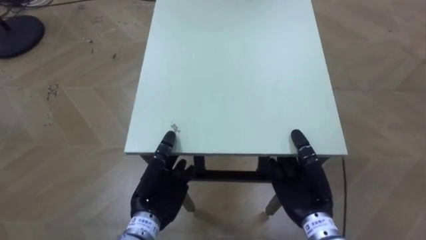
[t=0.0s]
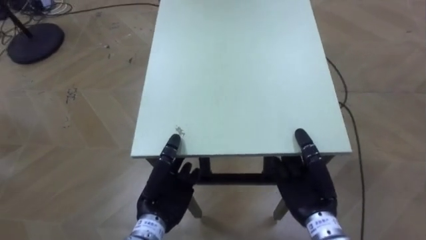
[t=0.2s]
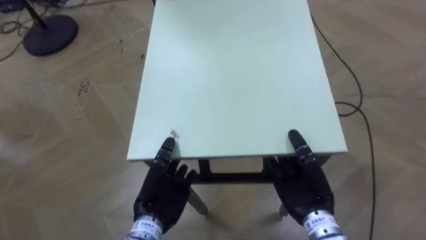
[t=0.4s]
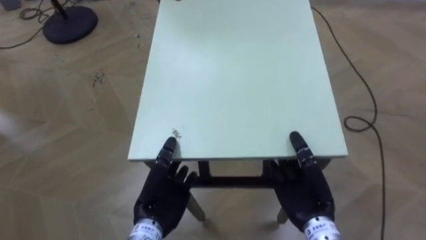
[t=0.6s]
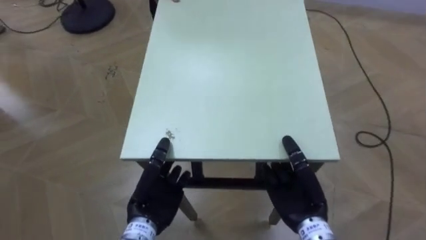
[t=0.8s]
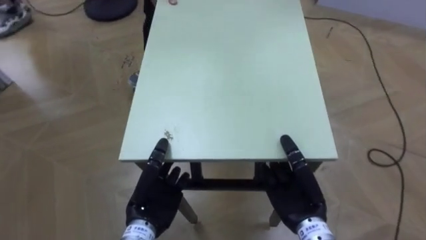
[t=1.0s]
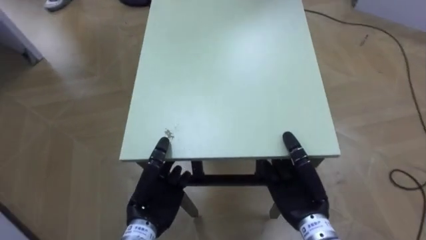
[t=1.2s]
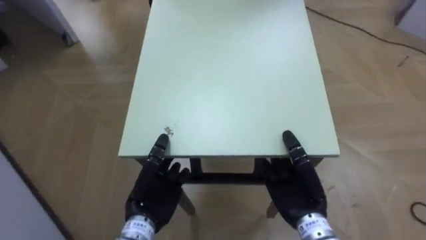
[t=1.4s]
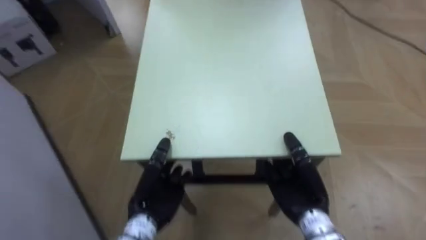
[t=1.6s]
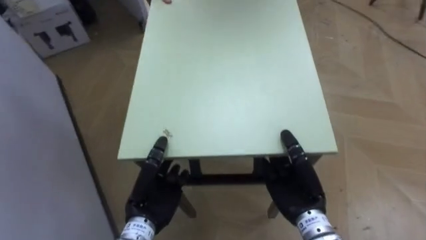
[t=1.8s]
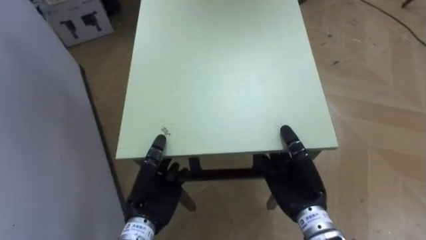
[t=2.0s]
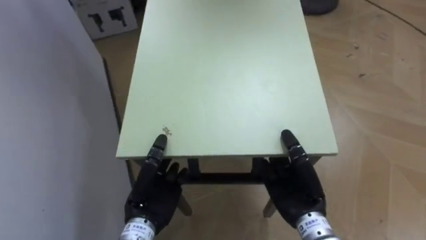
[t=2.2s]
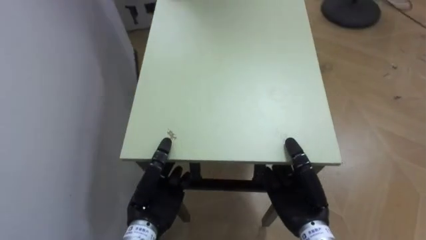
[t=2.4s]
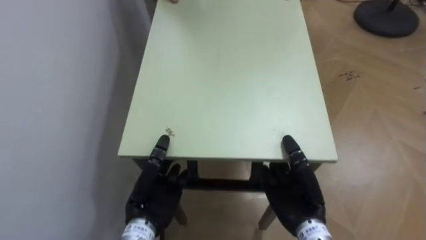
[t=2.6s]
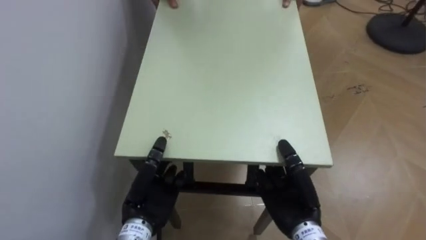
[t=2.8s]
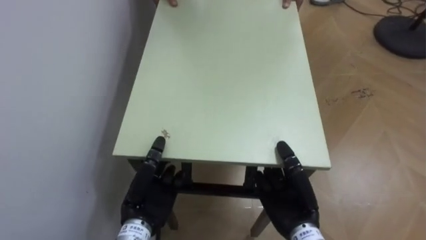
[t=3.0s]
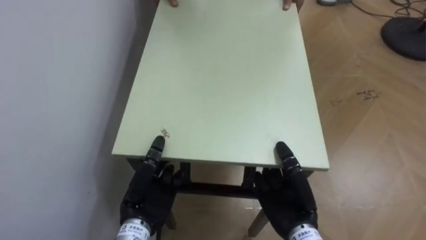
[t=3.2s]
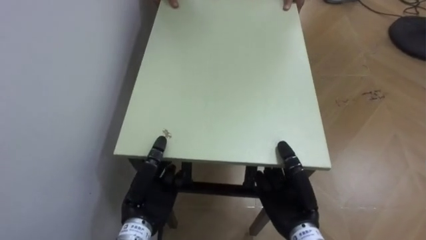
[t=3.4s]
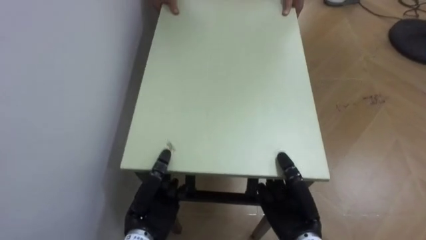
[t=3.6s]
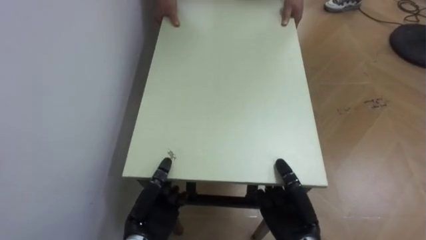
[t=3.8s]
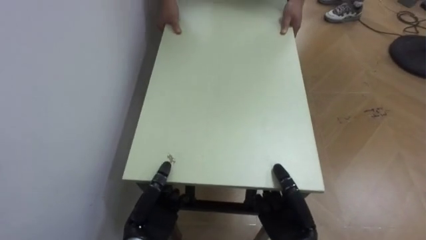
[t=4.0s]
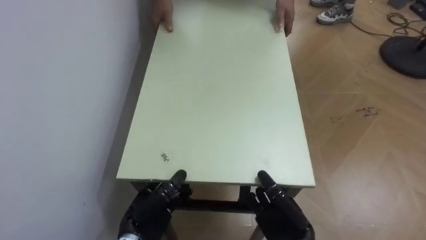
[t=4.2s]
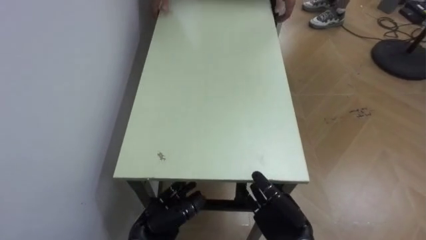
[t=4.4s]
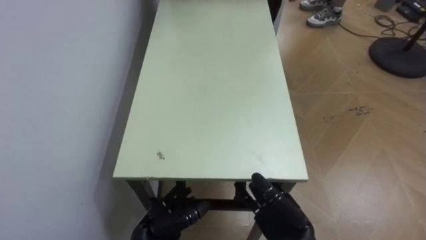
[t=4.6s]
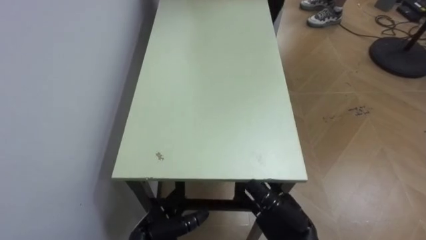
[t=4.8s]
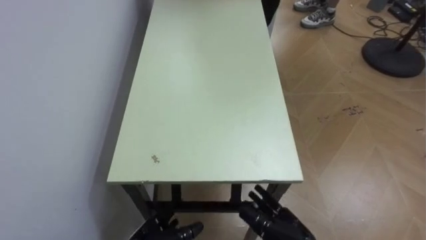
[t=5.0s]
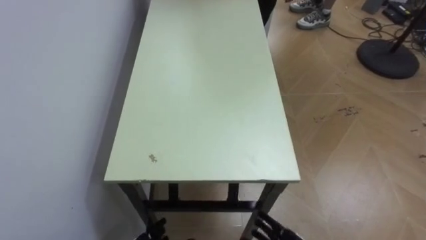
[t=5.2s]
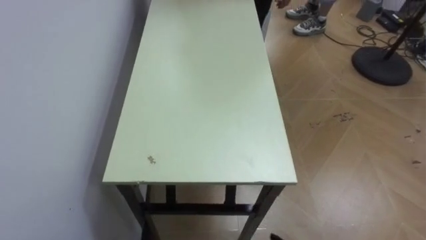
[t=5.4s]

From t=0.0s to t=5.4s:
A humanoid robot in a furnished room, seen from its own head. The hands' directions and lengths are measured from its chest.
Task of the whole recording: Move the table to the back left with someone.
From t=0.0s to t=1.4s: The robot's body swings about 30 degrees to its left.
From t=1.4s to t=2.8s: The robot's body swings some 45 degrees to its left.
From t=2.8s to t=4.0s: The two hands go approximately 5 cm downward.

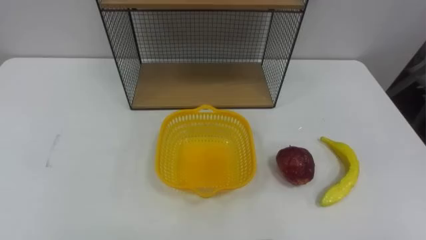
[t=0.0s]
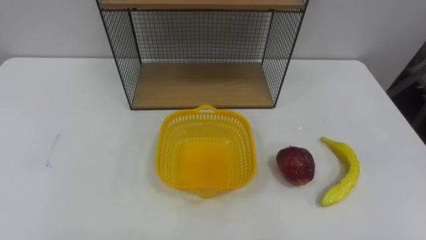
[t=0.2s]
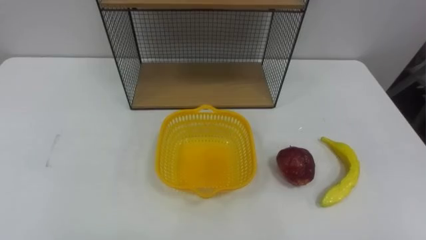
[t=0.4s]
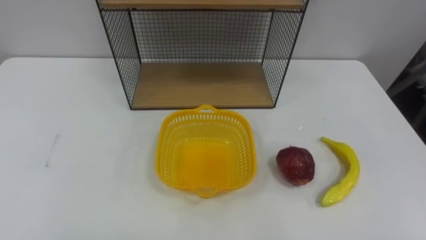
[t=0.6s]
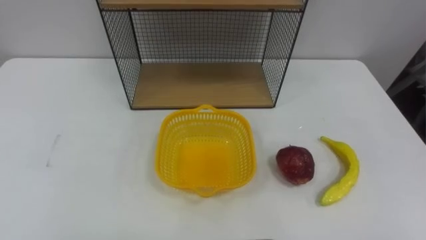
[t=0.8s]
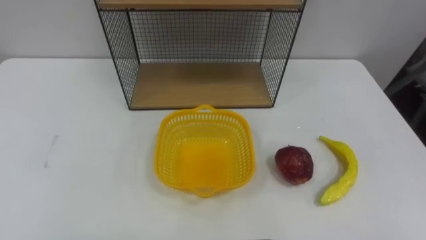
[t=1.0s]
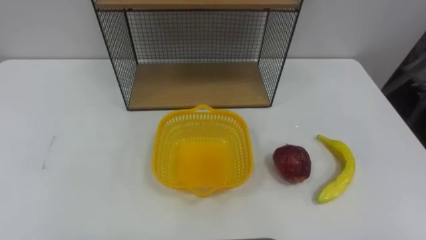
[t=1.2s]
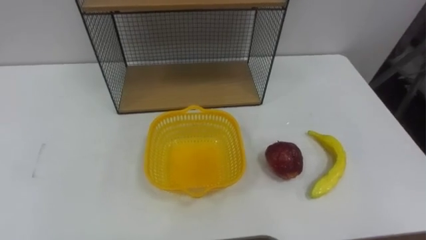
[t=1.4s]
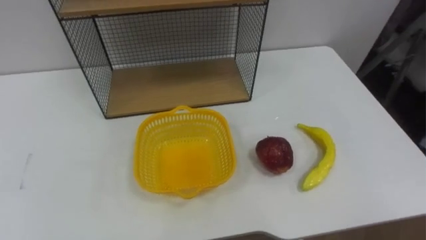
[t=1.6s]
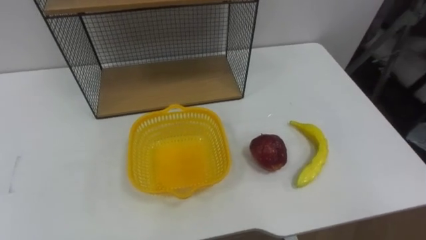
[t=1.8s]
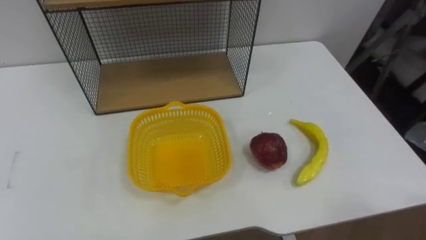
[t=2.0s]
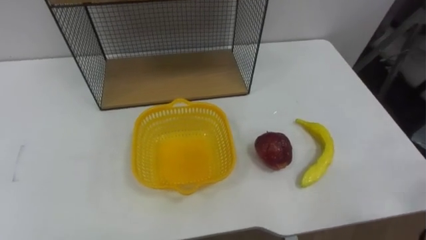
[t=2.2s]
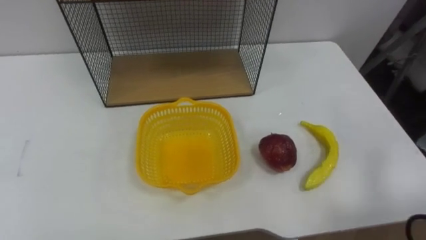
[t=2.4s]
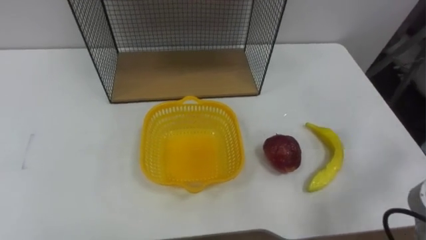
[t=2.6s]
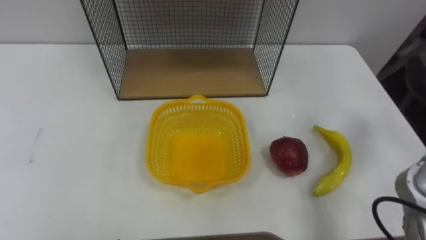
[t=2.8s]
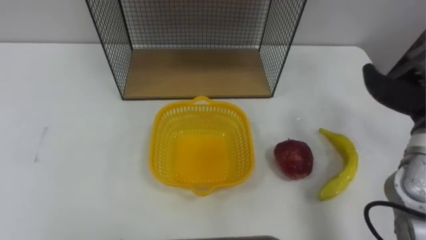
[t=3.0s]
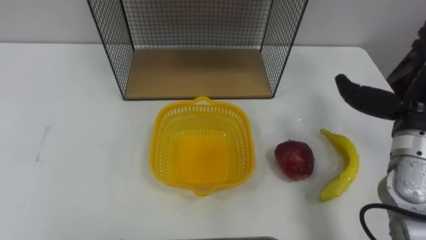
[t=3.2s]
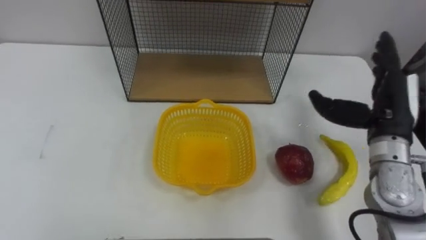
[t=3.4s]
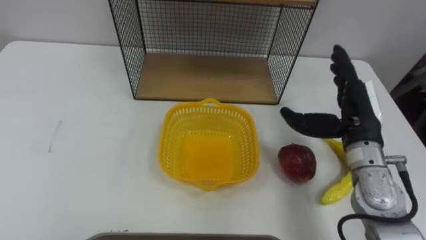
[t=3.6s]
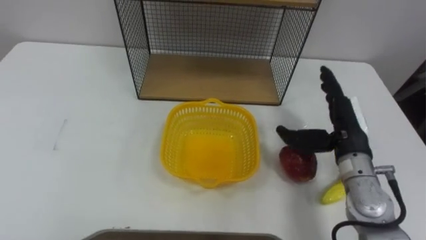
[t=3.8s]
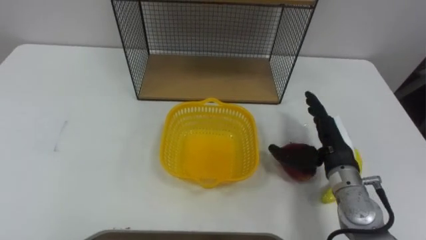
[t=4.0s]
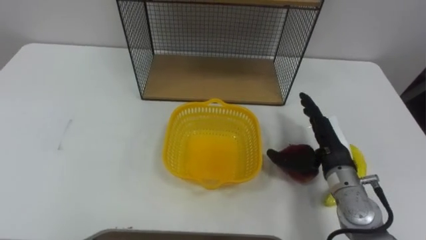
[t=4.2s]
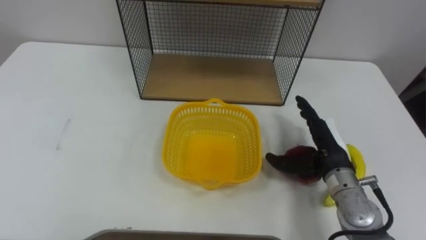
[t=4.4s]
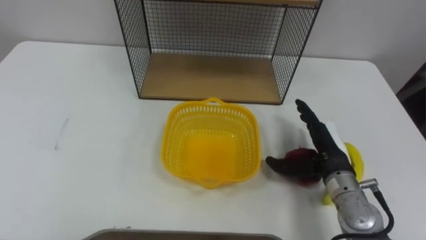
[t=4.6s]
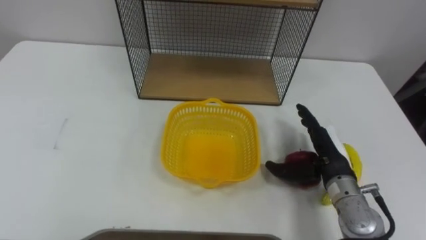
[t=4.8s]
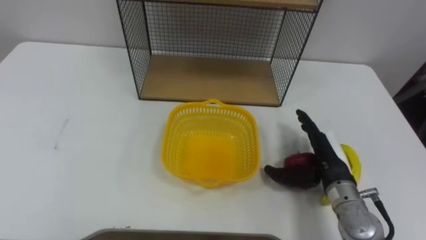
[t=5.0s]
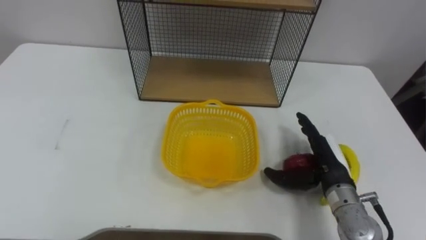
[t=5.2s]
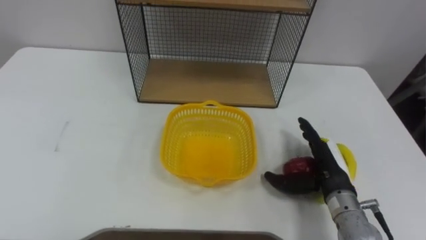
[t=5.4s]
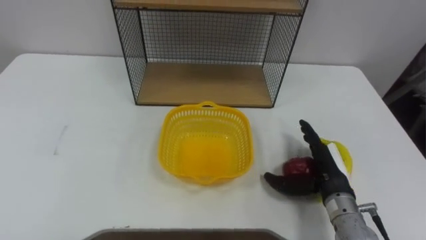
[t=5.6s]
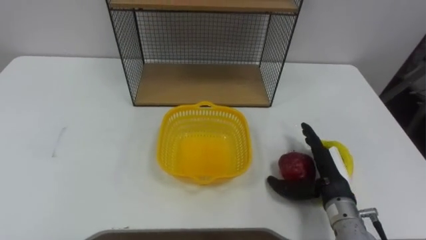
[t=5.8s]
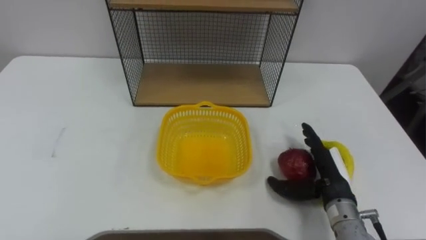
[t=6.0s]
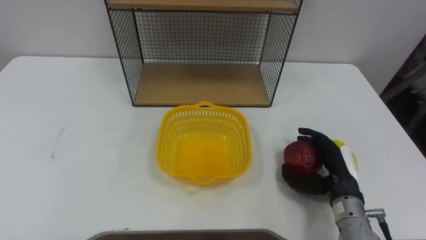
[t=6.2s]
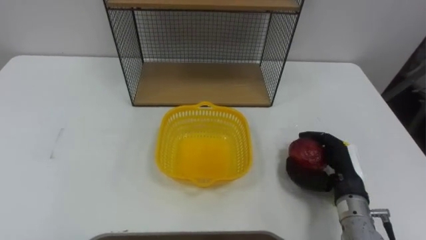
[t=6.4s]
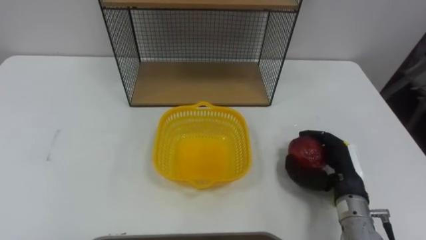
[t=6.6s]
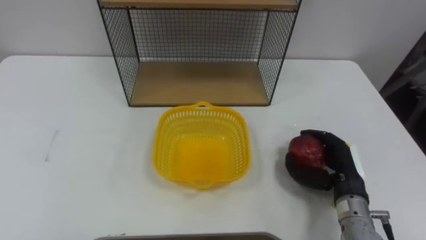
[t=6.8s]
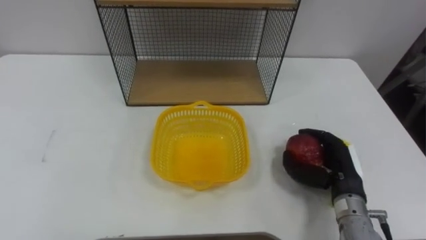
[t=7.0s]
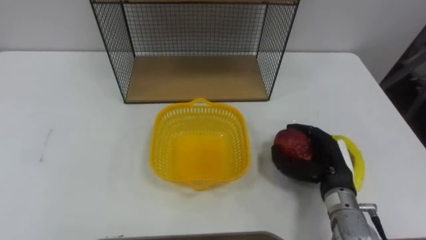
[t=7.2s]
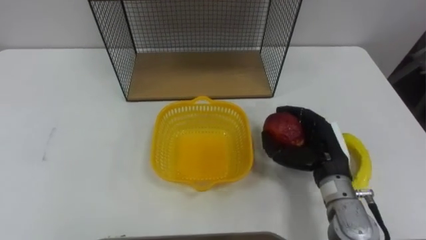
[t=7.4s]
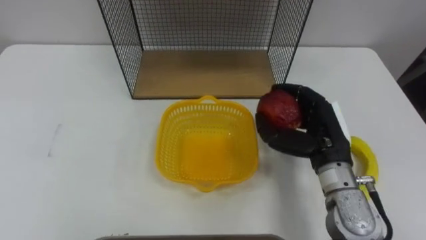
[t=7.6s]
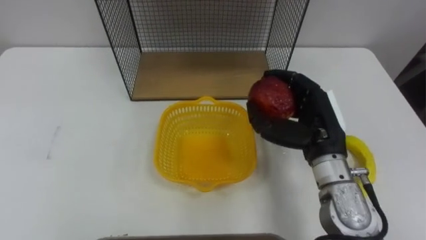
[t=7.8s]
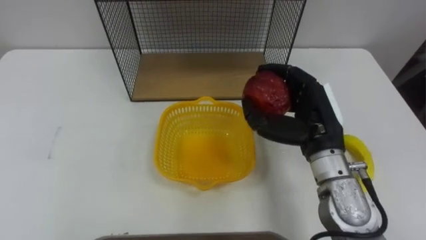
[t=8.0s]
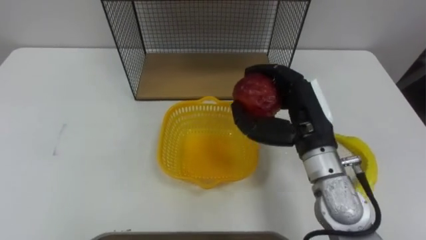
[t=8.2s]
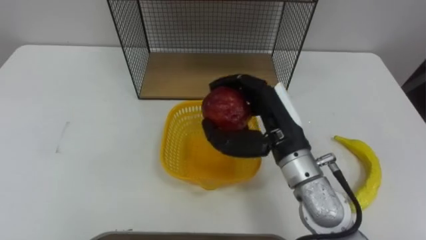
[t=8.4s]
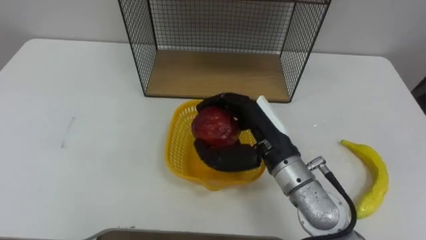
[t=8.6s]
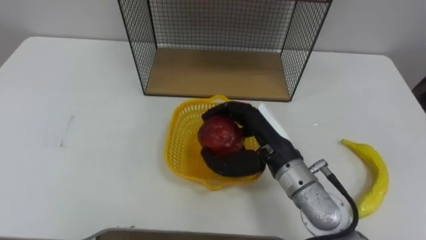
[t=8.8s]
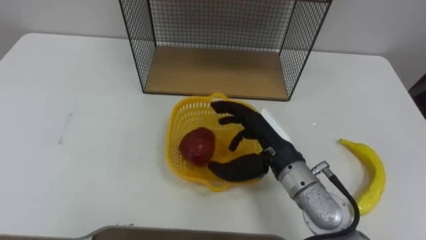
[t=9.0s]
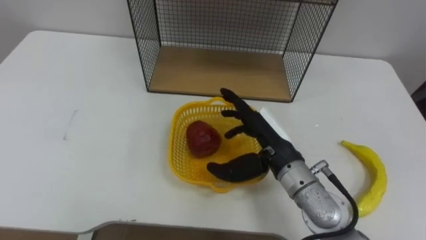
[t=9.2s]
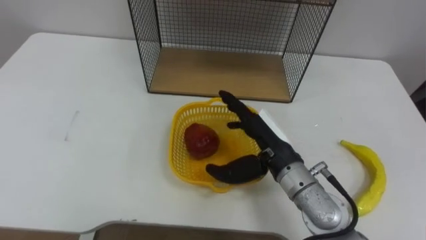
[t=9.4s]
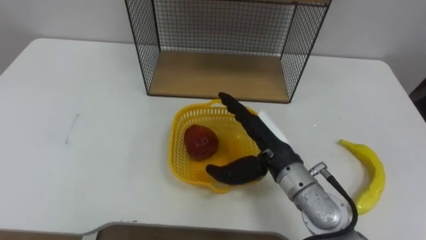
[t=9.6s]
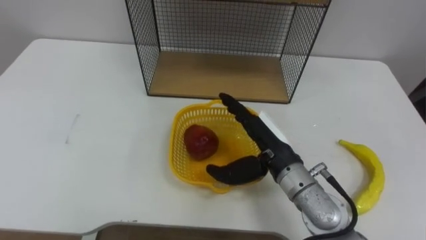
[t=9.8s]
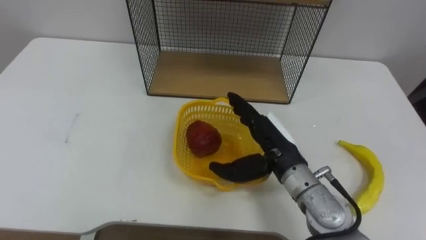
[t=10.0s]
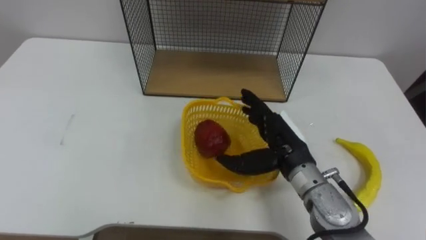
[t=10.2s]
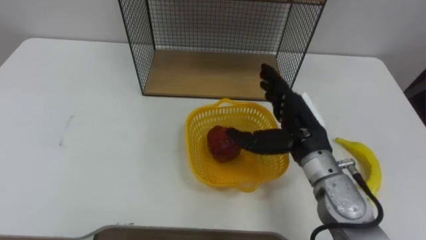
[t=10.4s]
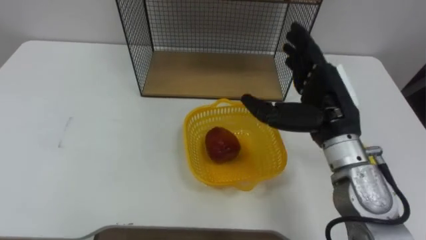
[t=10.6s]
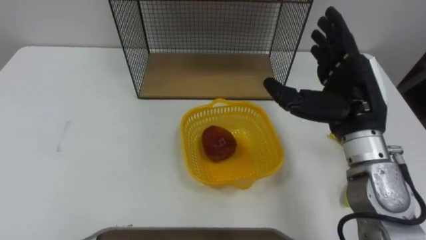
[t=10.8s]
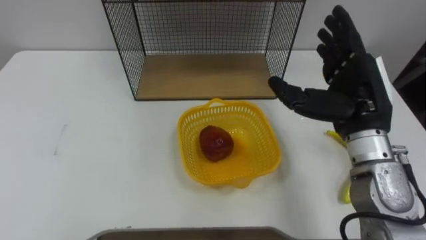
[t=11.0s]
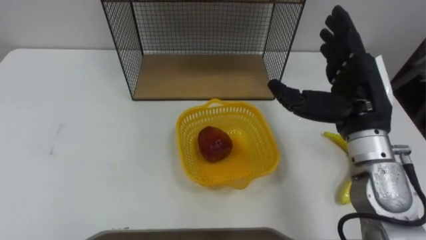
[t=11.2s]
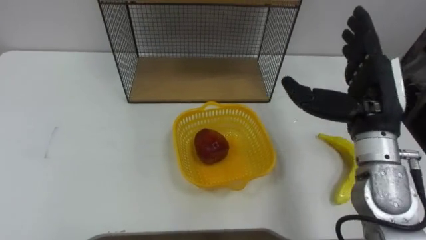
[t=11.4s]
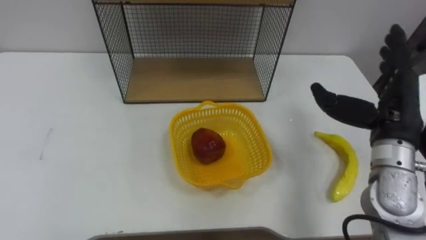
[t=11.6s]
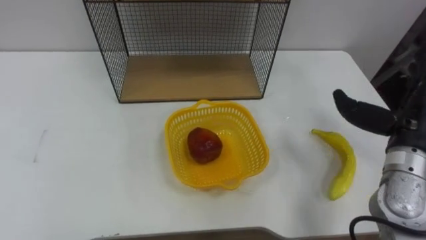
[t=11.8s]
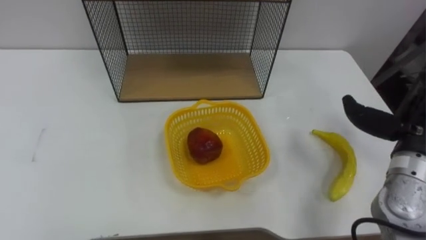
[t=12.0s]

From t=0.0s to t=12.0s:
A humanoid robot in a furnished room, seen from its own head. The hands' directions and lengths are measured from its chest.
Task of the whole recording: Put the fruit on the table into the basket, then place the basket on the shelf.
From t=4.4s to t=6.0s: The right hand shifts by approximately 5 cm.
From t=6.0s to t=7.6s: The right hand goes some 10 cm upward, and closes.
From t=7.6s to t=9.0s: The right hand goes about 10 cm to the left.
From t=10.4s to t=12.0s: The right hand is displaced to the right by approximately 15 cm.
